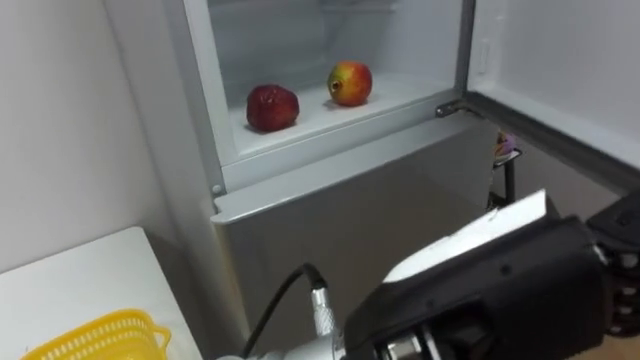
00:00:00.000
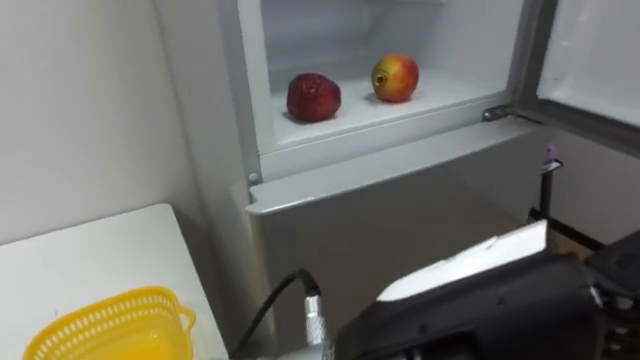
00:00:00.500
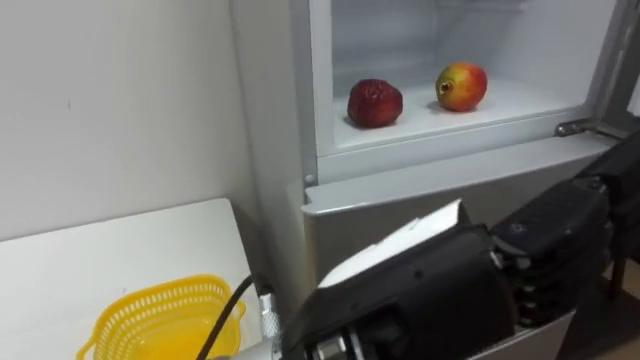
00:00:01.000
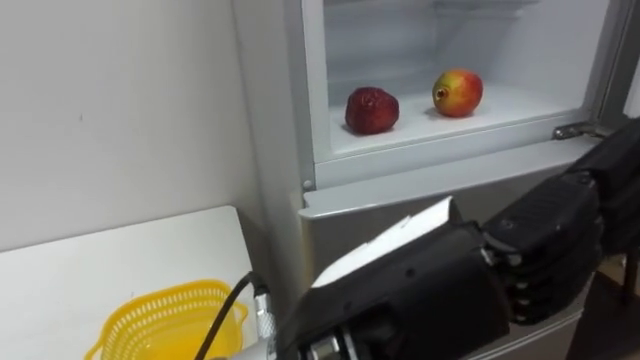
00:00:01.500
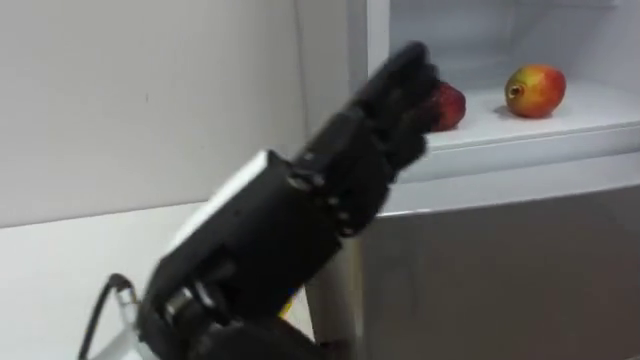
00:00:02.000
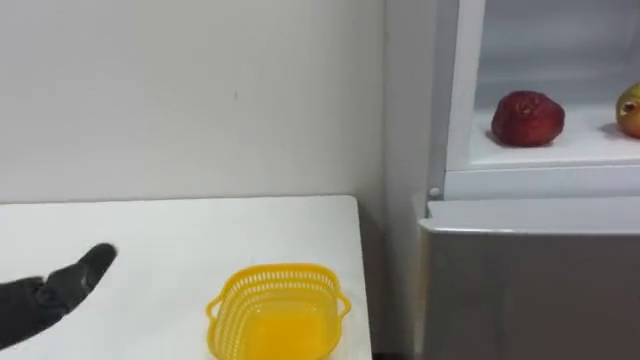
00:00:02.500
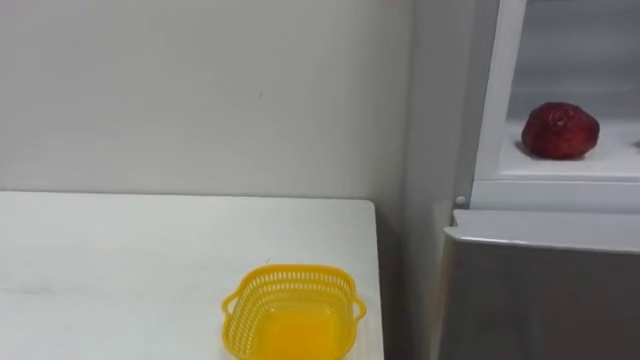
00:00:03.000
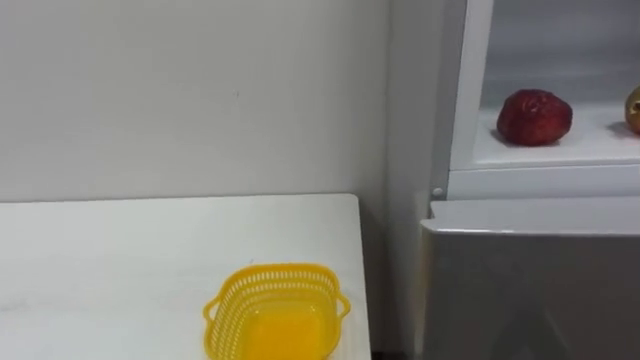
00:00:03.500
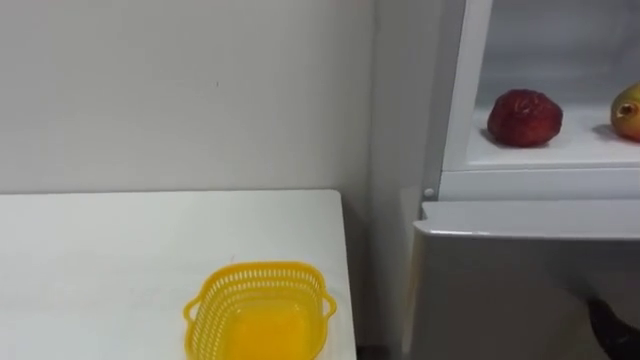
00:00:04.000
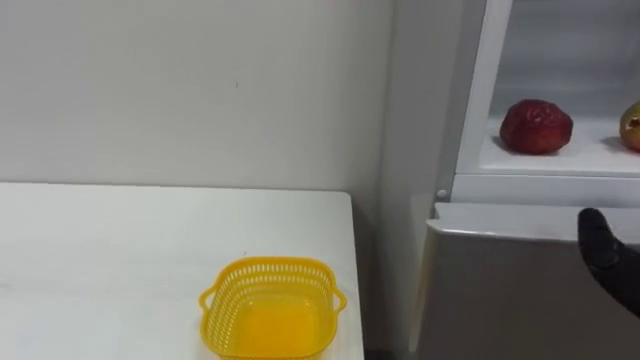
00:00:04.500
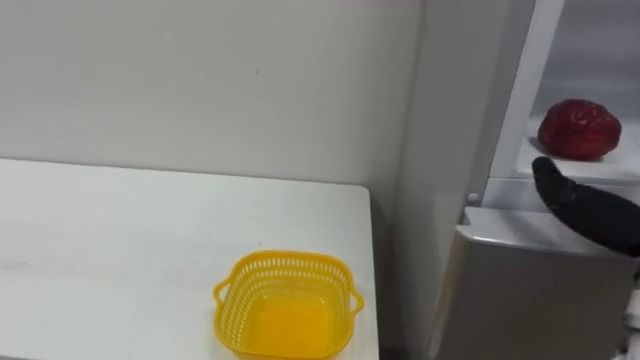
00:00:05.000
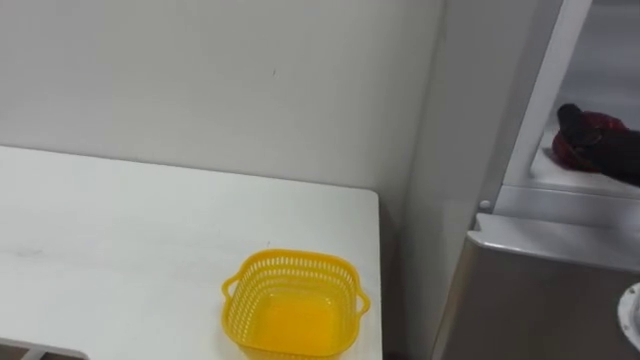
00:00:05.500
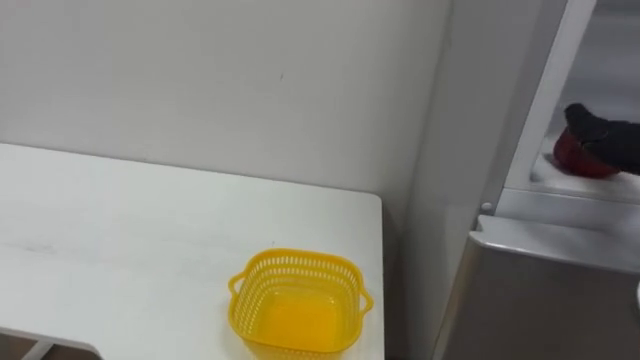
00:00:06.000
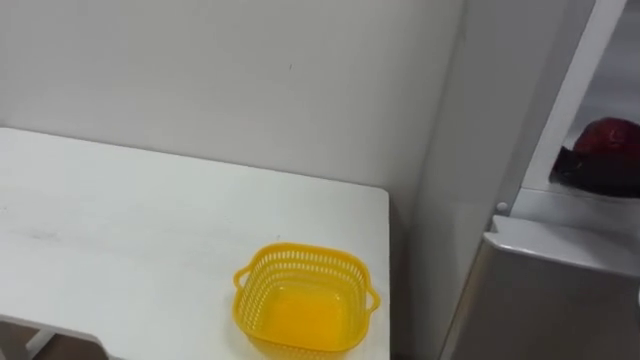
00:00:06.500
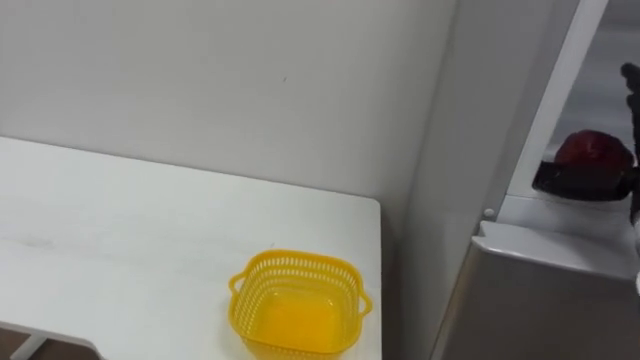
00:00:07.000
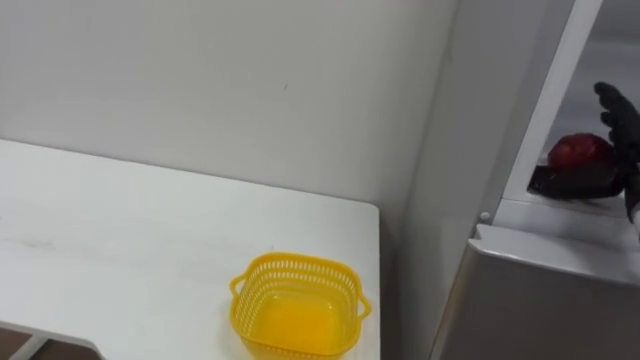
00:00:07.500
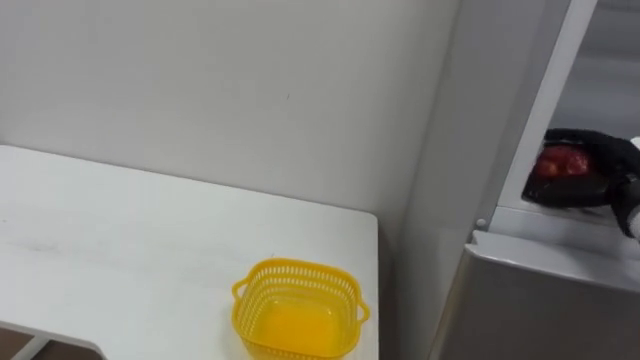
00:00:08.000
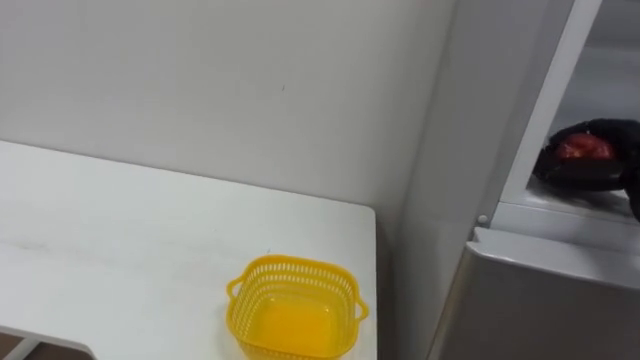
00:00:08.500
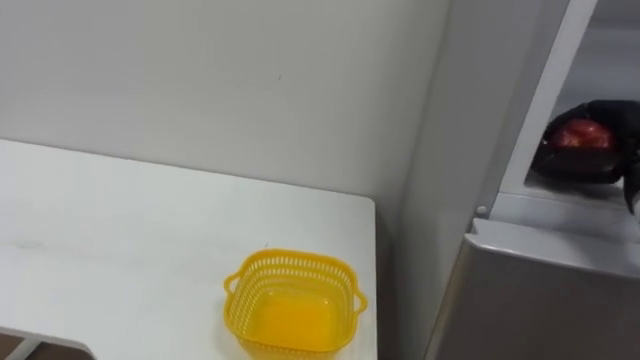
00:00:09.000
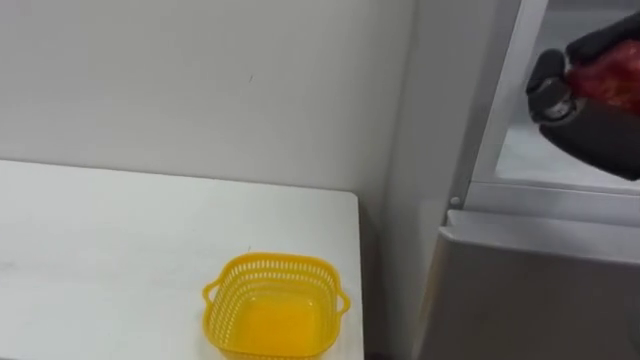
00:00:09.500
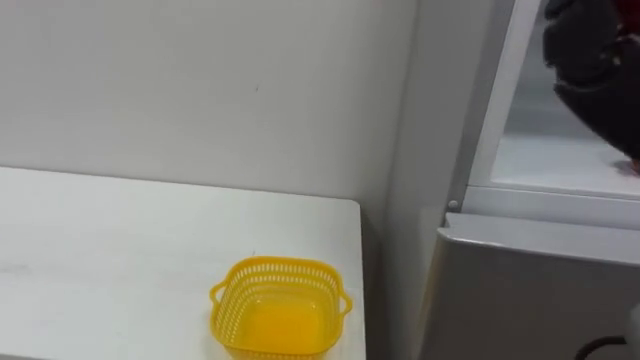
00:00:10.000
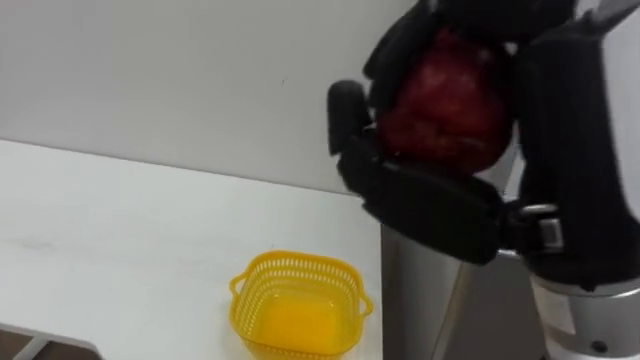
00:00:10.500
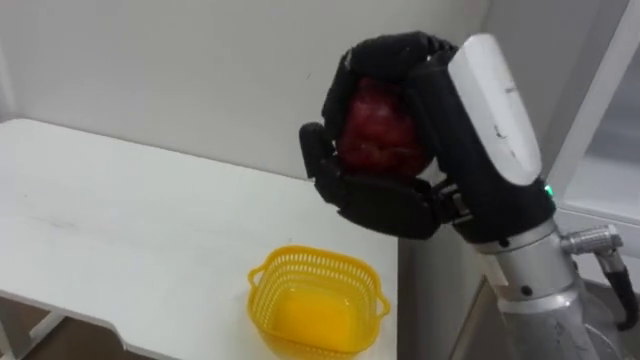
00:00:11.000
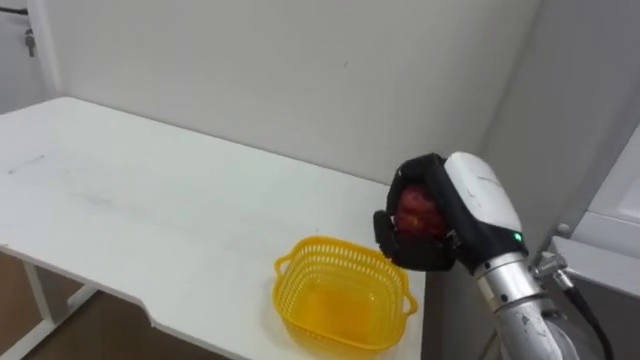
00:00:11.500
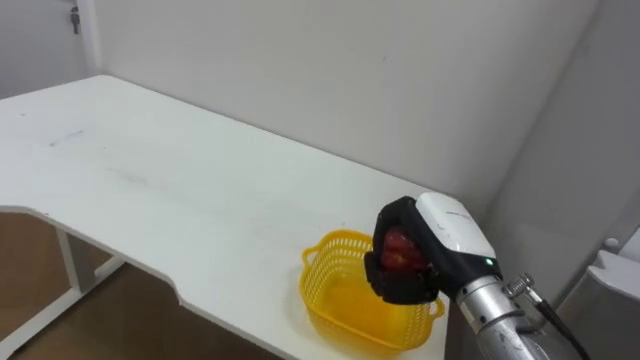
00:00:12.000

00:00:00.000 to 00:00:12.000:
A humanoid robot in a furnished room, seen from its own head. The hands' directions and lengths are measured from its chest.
Task of the whole recording: Open the refrigerator door, take out the apple and the pomegranate, place them in the fruit basket on the left, and close the refrigerator door.
00:00:00.000 to 00:00:02.000: The left hand shifts approximately 10 cm to the left.

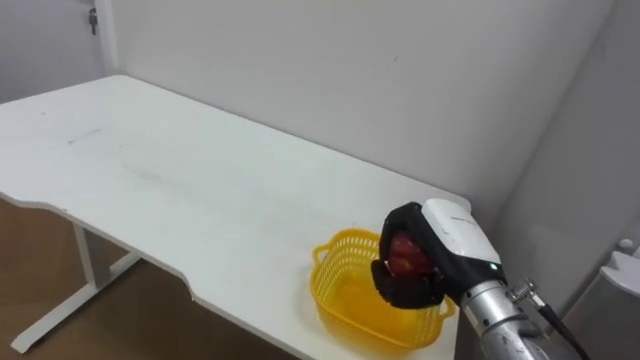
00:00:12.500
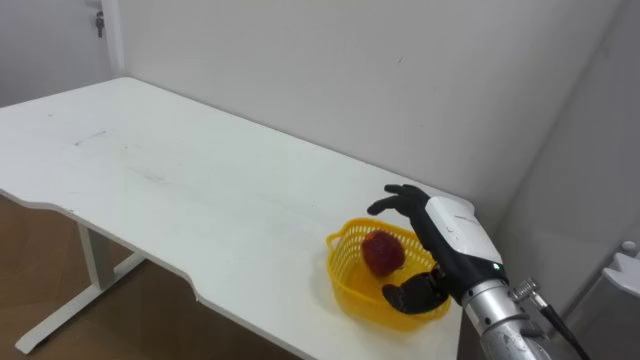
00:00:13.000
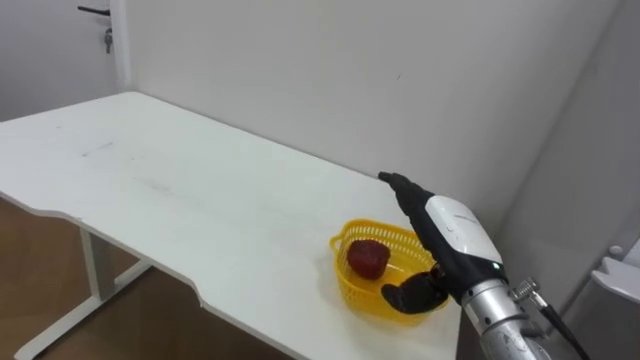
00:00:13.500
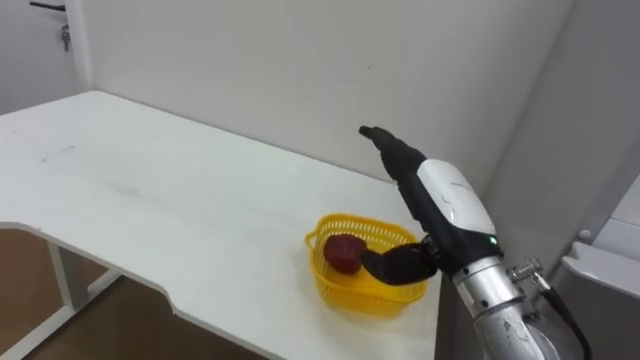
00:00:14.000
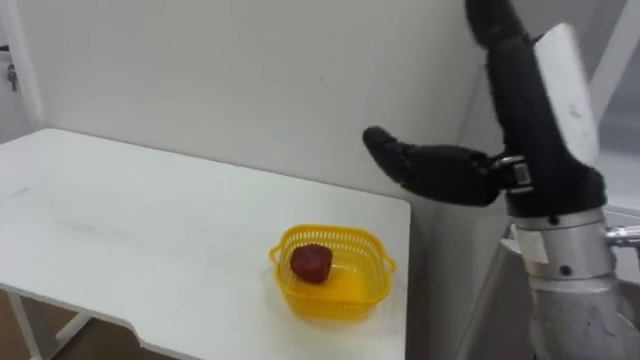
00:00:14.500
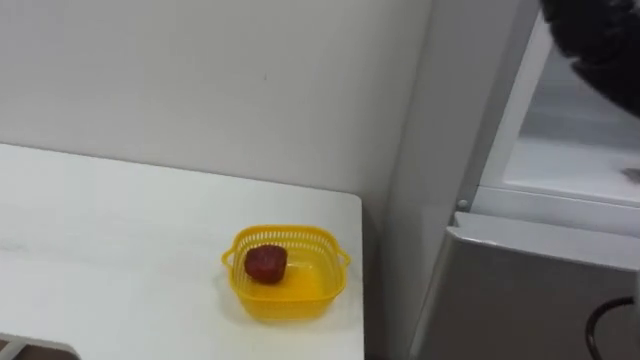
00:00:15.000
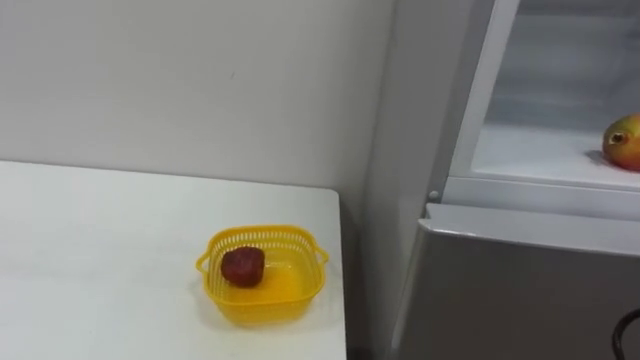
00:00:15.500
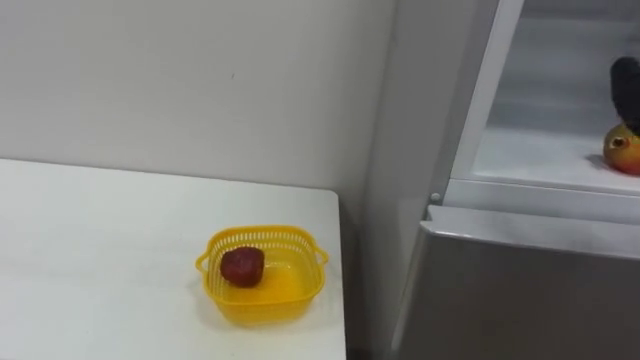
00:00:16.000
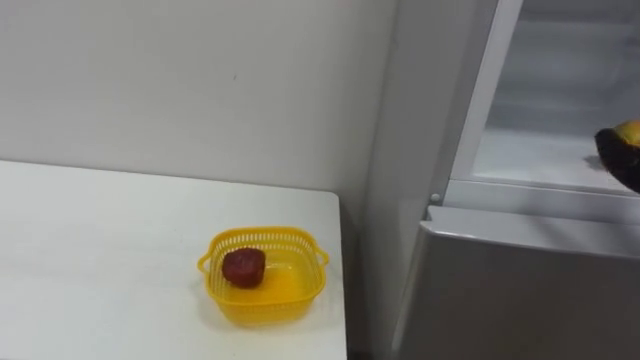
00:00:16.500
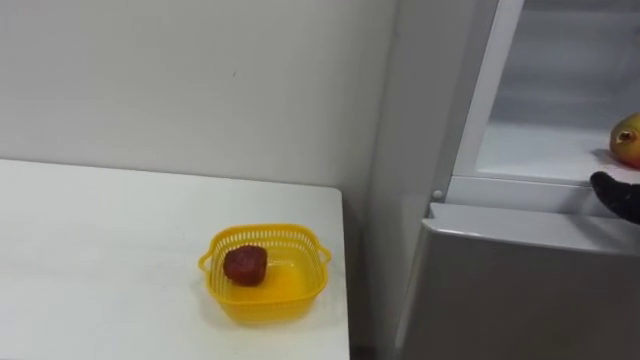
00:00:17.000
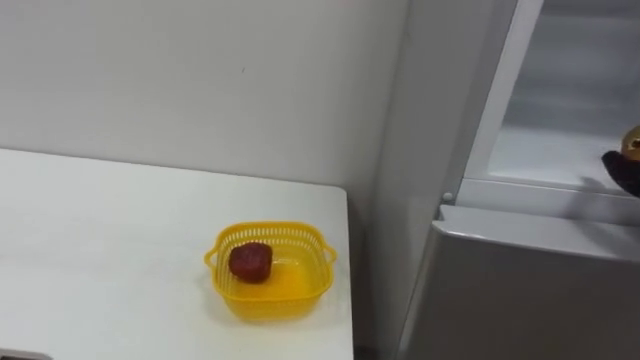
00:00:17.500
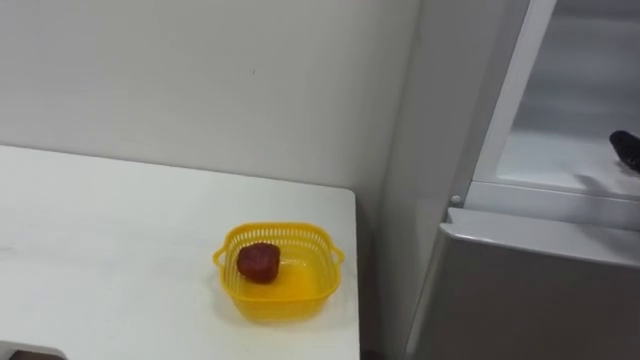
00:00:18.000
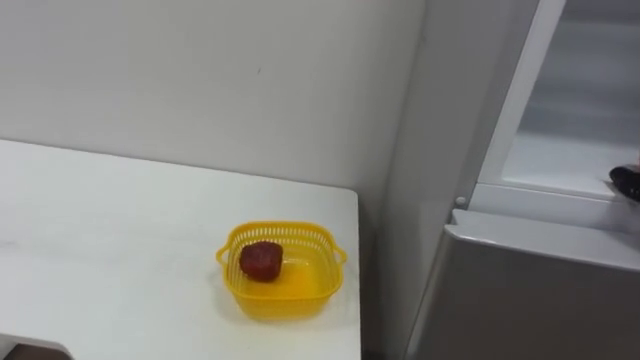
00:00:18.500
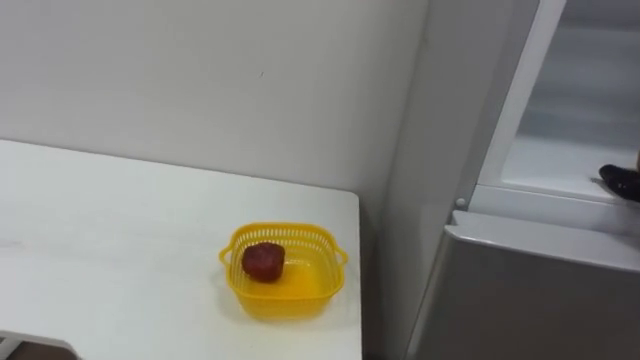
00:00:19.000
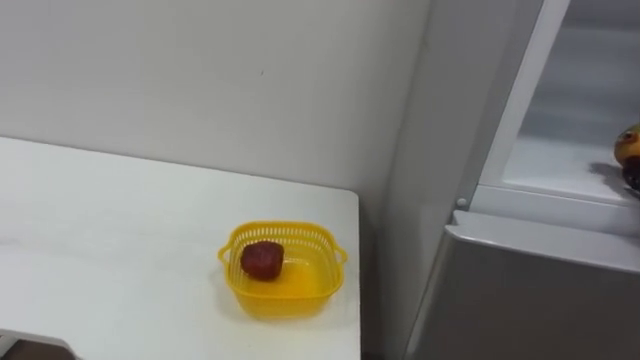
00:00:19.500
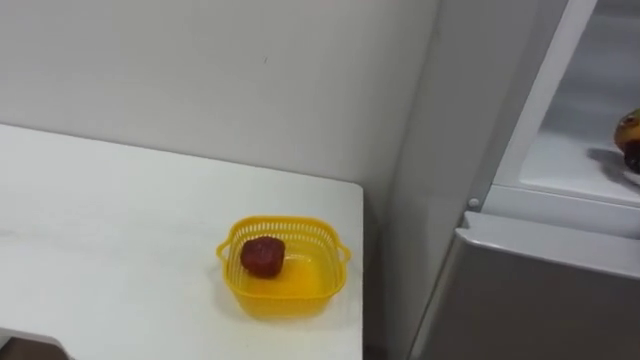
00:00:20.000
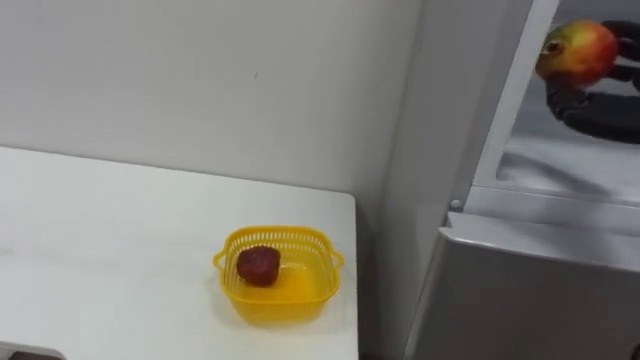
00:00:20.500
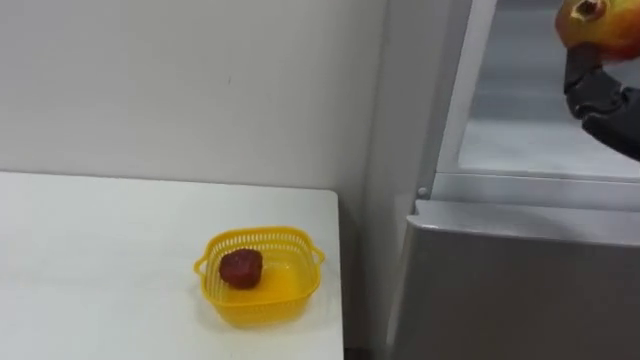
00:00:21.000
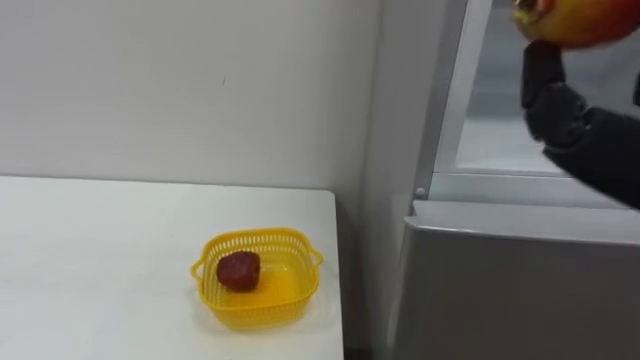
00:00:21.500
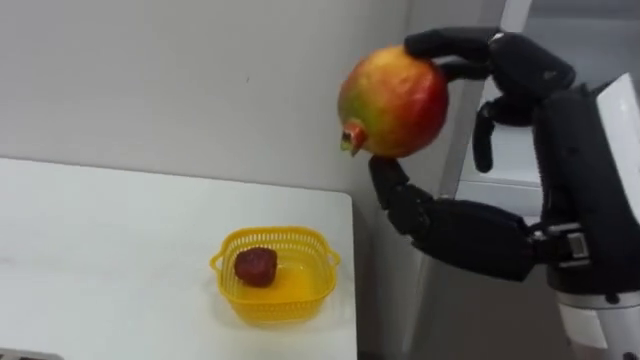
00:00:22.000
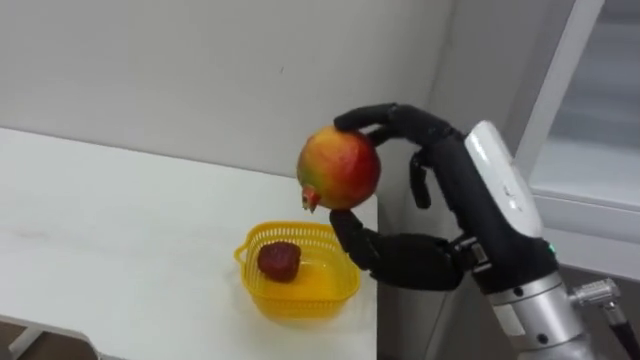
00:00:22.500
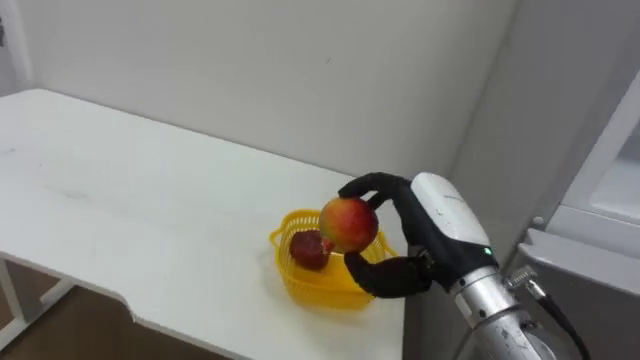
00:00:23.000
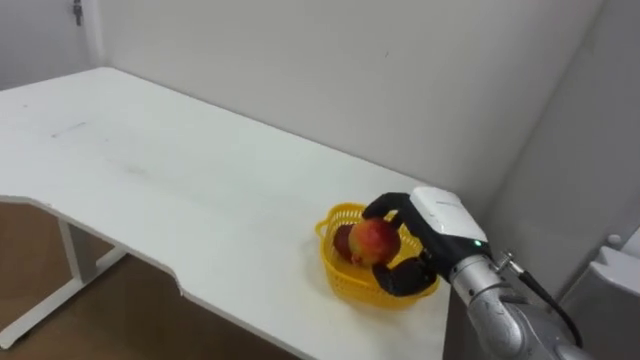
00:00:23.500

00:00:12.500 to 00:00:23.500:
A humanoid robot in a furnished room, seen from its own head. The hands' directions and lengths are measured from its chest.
Task of the whole recording: Open the refrigerator door, take out the apple and the pomegranate, place them in the fruit basket on the left, and close the refrigerator door.
00:00:12.500 to 00:00:14.500: The right hand heads upward and backward, covering about 20 cm, and opens.
